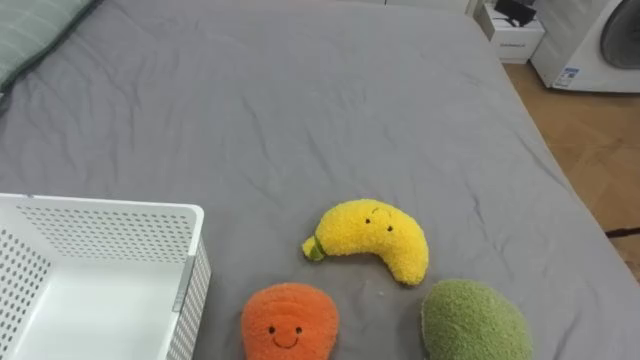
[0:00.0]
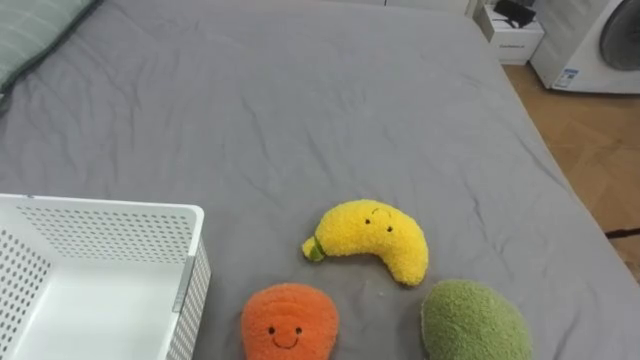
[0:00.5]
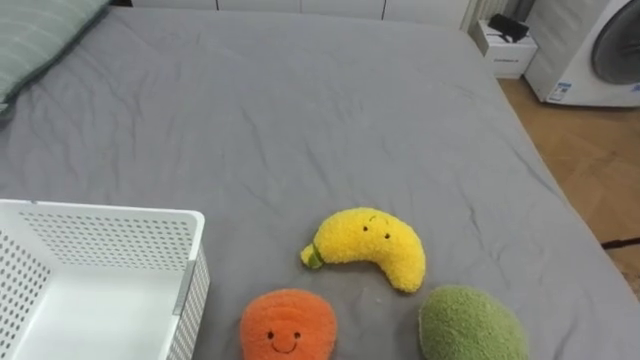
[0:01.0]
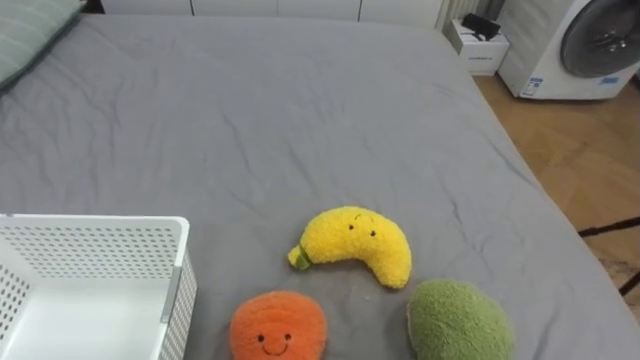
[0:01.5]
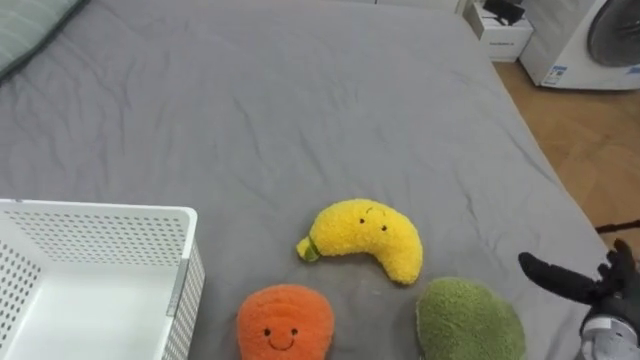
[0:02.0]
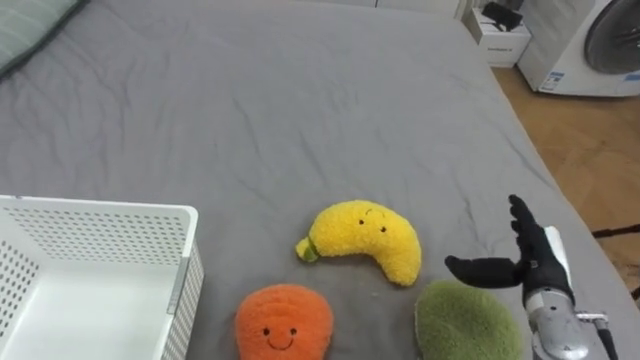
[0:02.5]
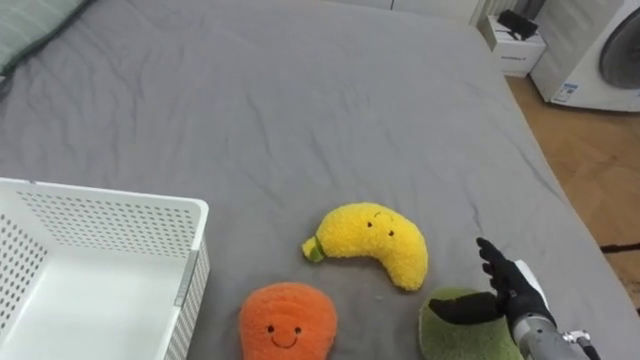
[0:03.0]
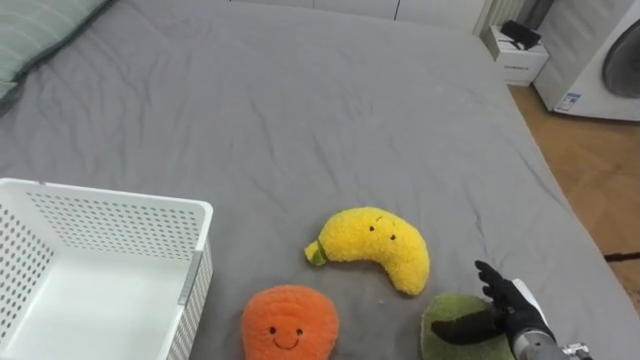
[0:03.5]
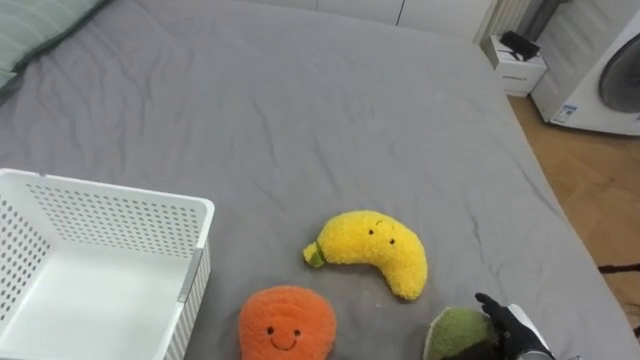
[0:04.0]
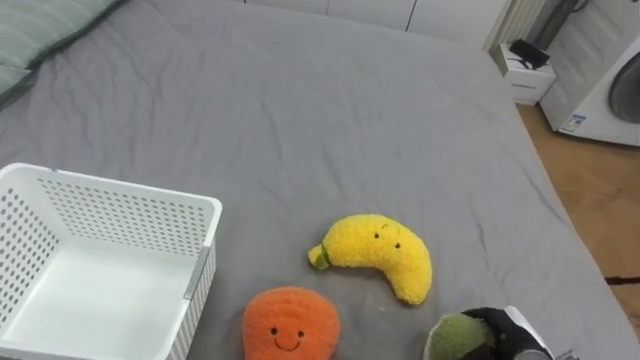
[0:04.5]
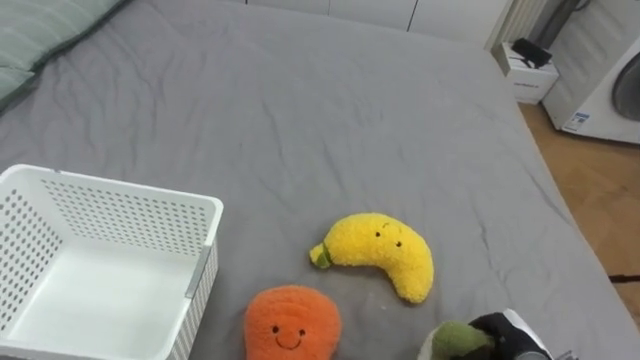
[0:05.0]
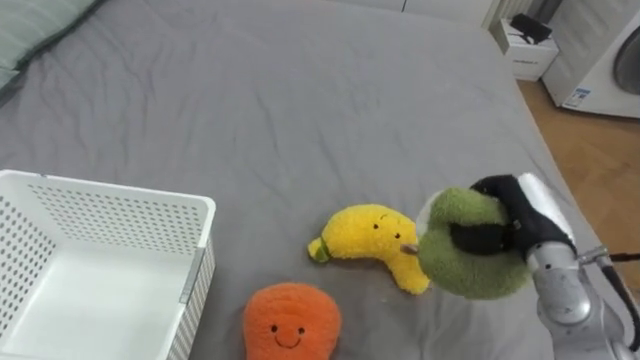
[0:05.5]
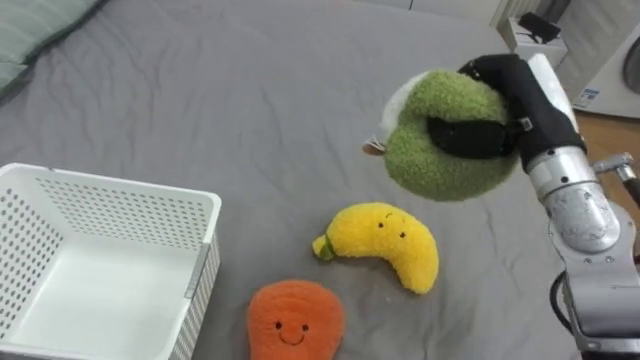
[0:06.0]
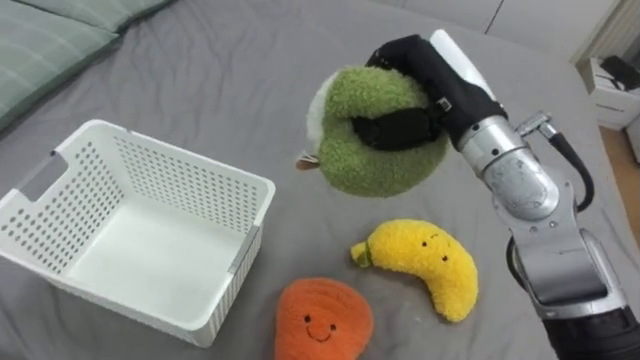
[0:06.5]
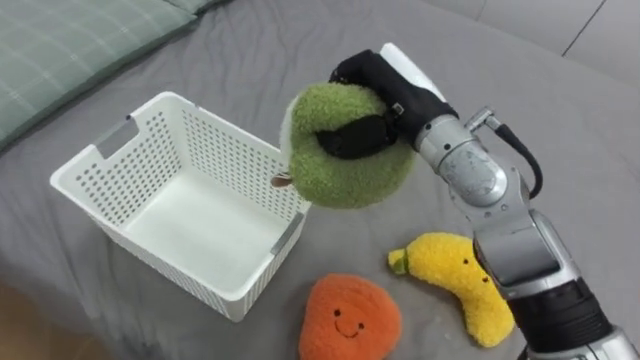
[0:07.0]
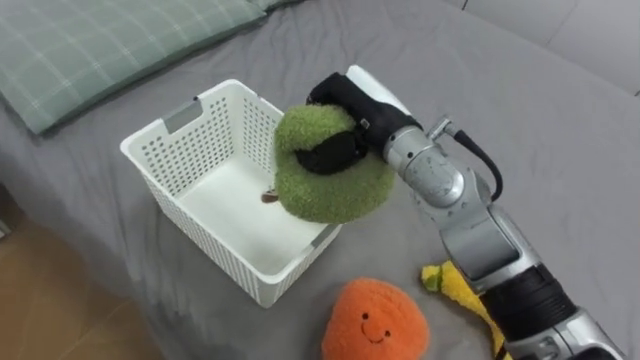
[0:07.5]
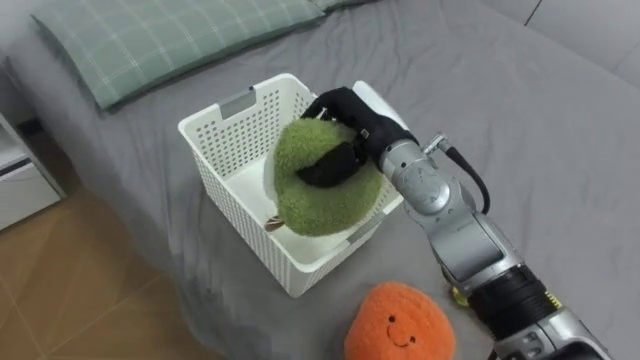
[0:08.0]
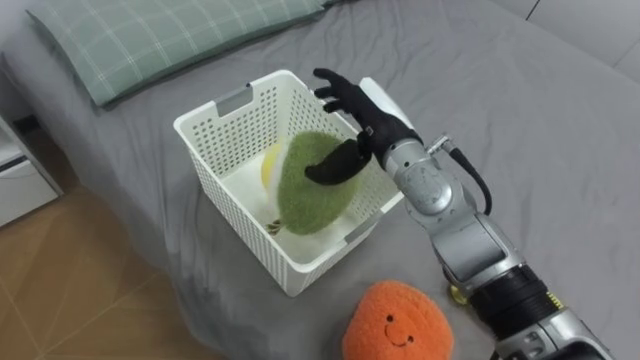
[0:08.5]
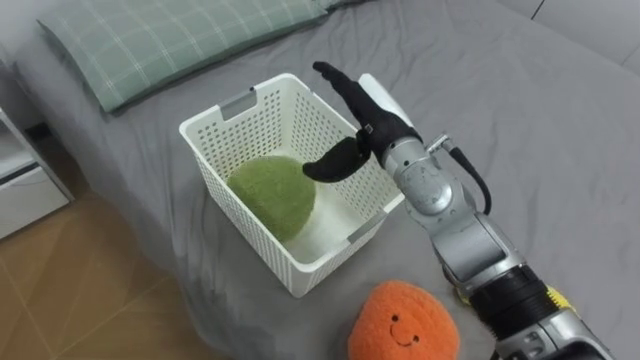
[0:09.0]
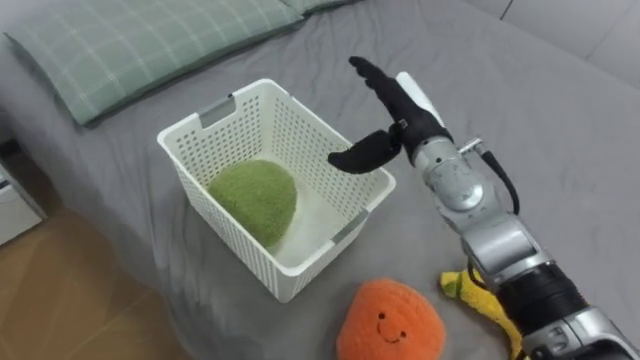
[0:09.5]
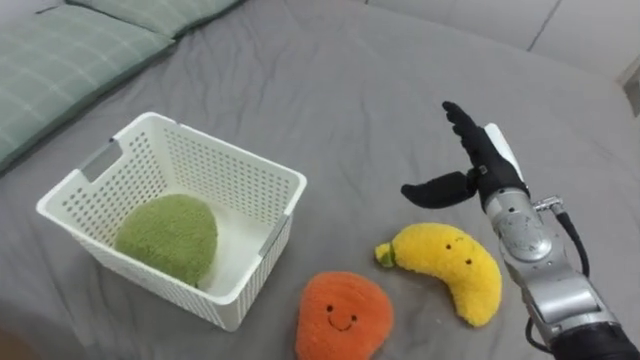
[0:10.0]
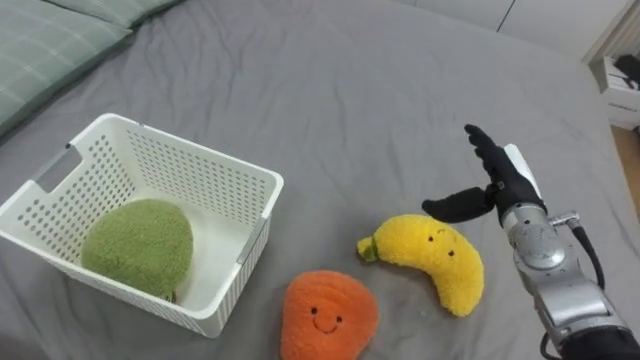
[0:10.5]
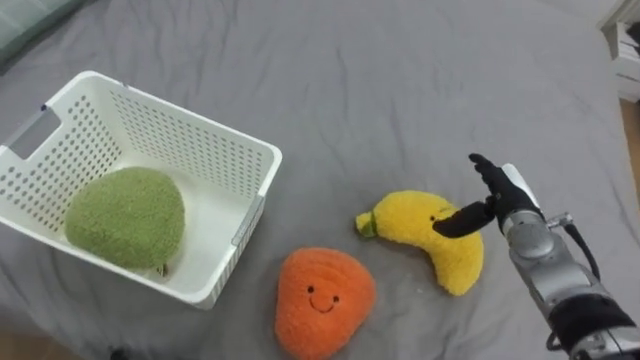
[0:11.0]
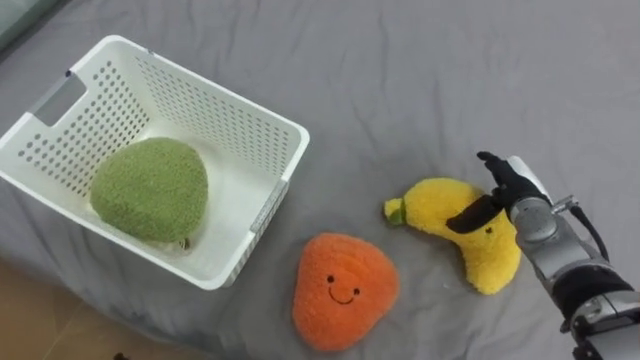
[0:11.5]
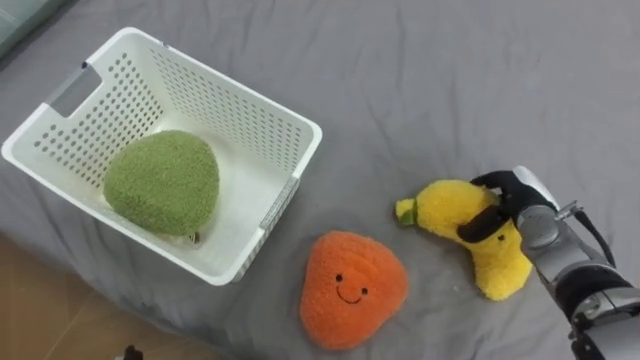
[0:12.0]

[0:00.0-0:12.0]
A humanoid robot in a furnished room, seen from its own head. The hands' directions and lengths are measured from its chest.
Task of the whole recording: Put the toys on the bed into the basket on the left.
0:02.0 to 0:04.0: The right hand goes roughly 10 cm to the left and downward.
0:04.0 to 0:06.0: The right hand shifts about 35 cm upward and forward, and closes its fingers.
0:06.0 to 0:08.0: The right hand travels to the left by roughly 15 cm.
0:08.0 to 0:10.0: The right hand is displaced to the right by roughly 15 cm, and opens its fingers.
0:10.0 to 0:12.0: The right hand moves downward and to the right, some 10 cm.

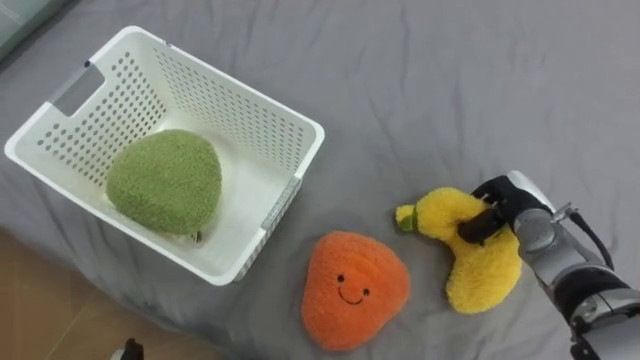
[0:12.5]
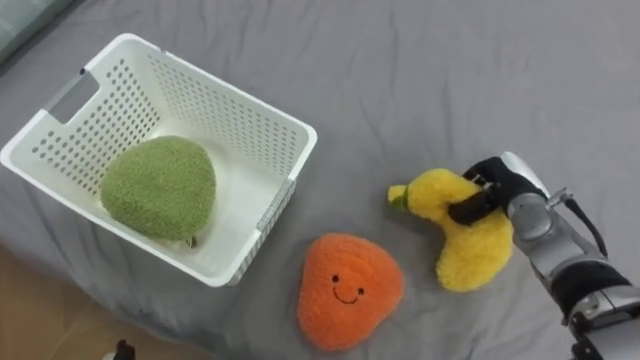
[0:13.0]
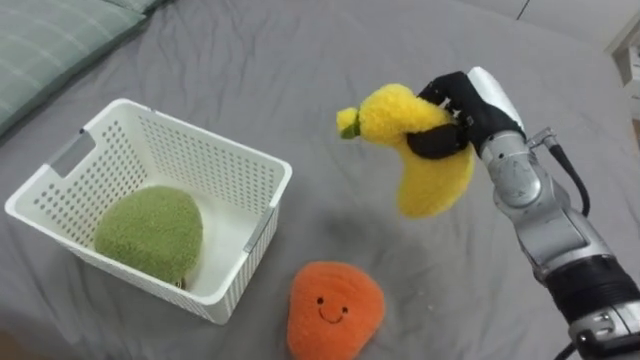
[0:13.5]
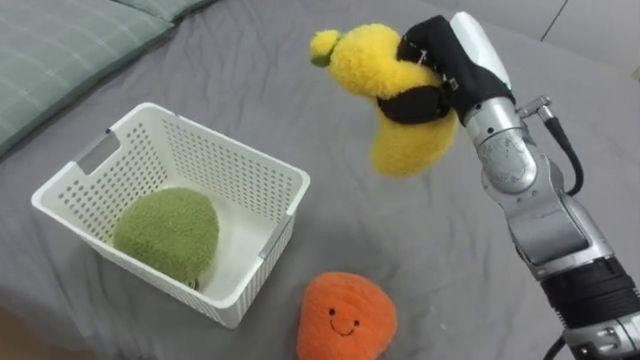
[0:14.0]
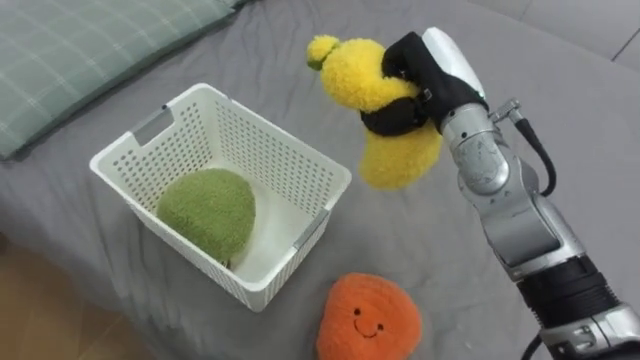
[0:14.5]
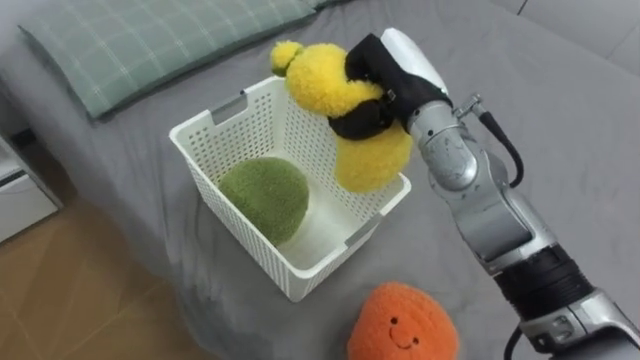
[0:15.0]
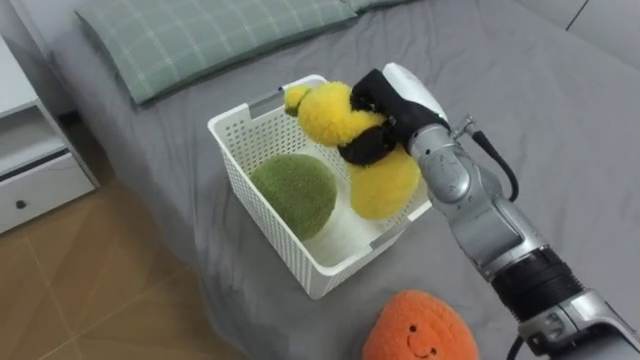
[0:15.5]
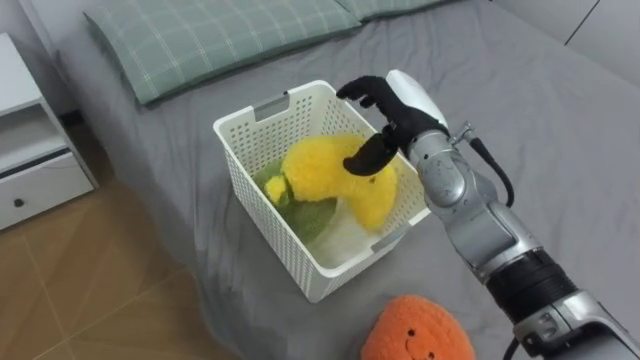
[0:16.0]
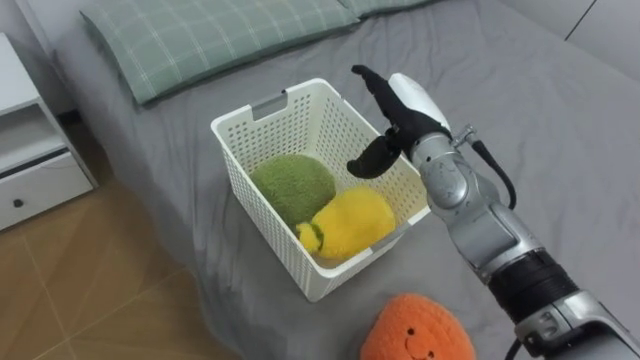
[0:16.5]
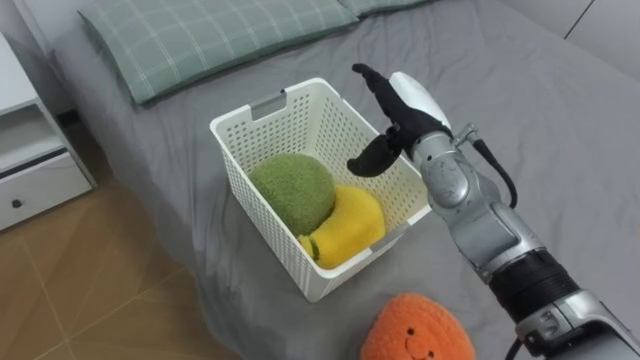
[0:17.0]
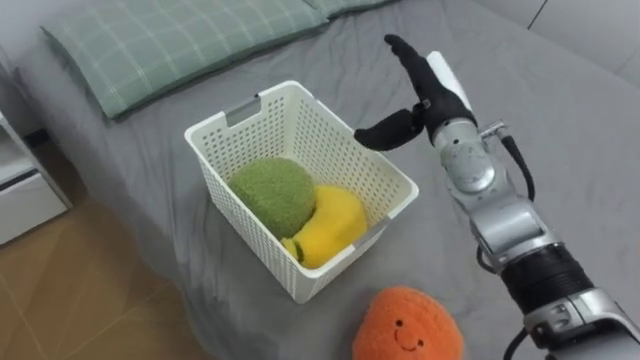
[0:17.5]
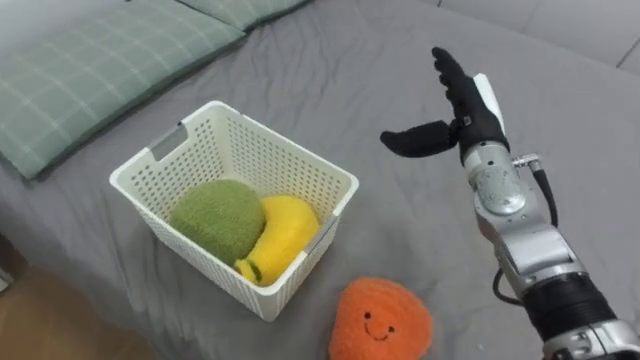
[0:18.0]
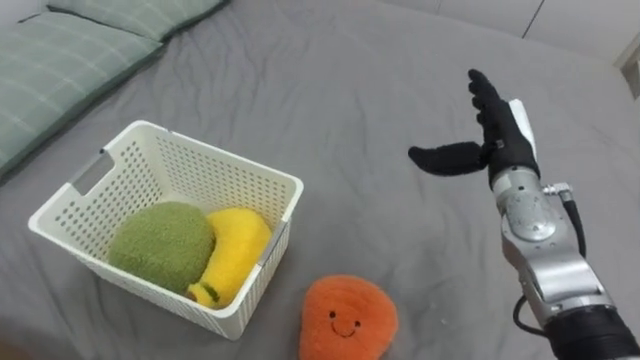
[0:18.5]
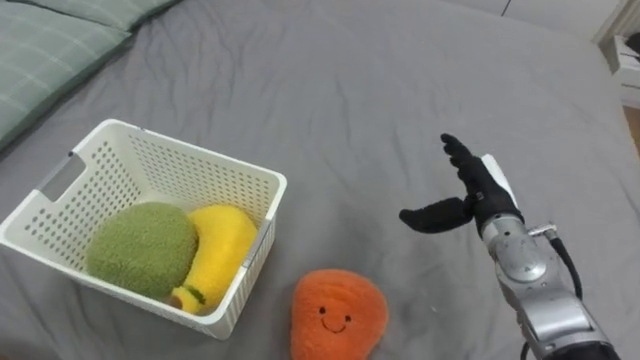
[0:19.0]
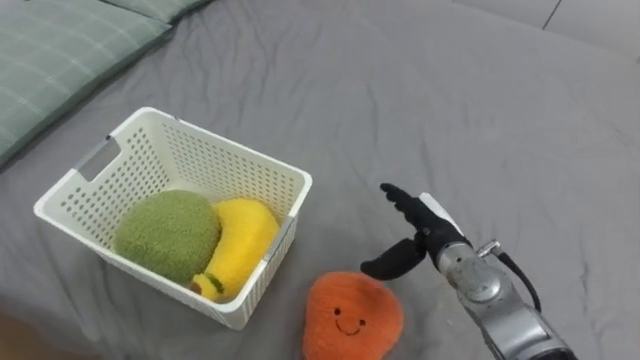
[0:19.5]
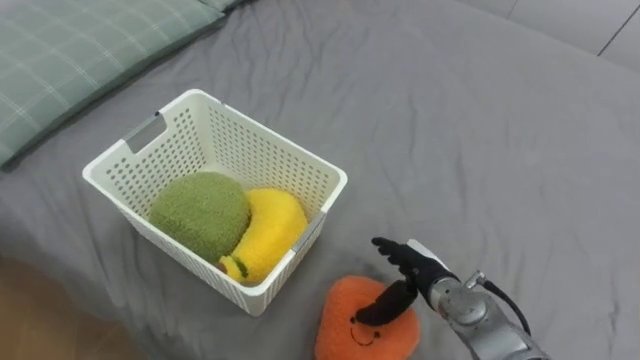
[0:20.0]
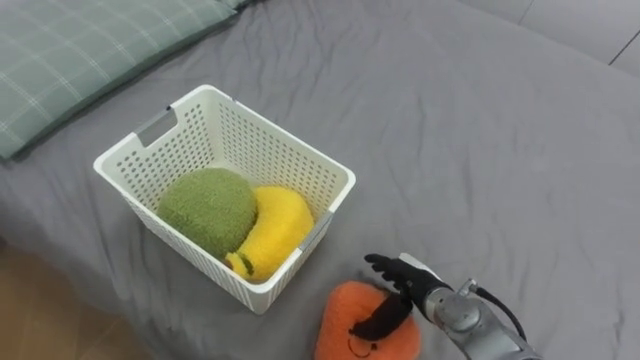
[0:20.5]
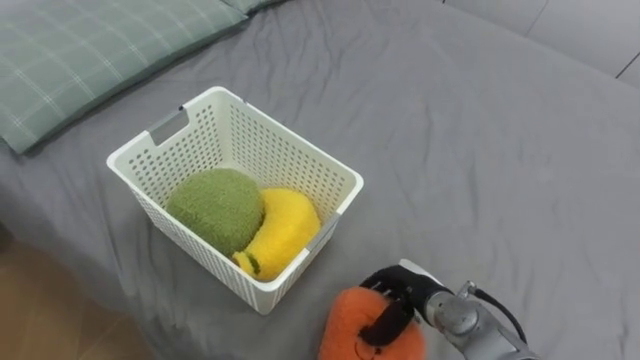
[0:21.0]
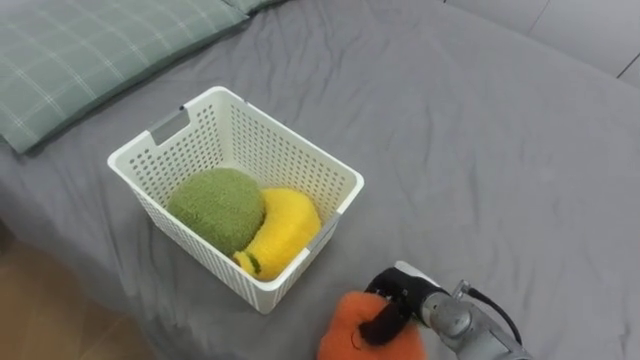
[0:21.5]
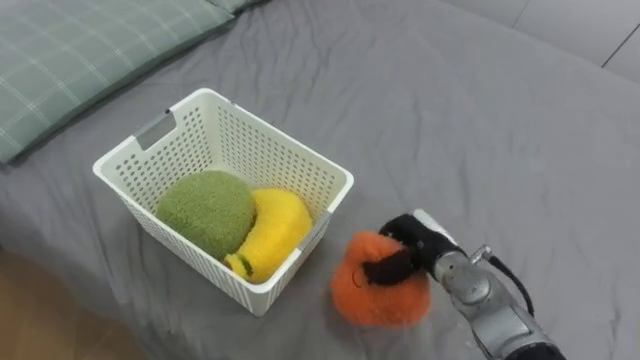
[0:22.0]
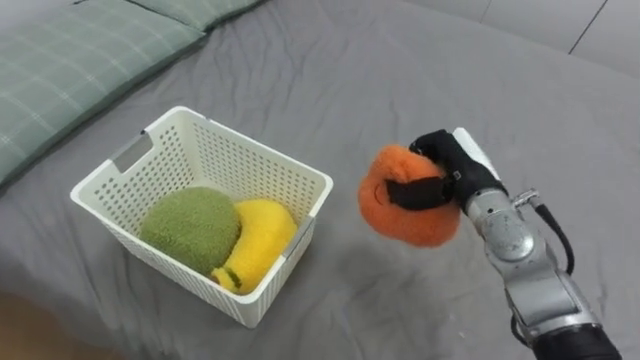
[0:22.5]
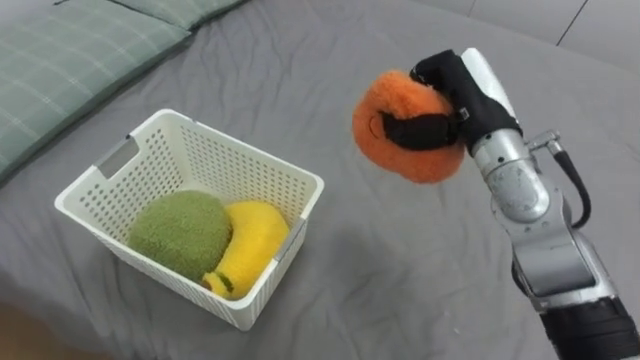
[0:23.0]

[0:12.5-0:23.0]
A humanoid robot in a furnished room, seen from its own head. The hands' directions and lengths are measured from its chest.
Task of the whole recording: Put the toys on the bed into the basket on the left.
0:12.5 to 0:14.5: The right hand goes approximately 25 cm upward and to the left.
0:14.5 to 0:16.5: The right hand heads downward, covering some 5 cm, and opens its fingers.
0:16.5 to 0:19.0: The right hand travels to the right, downward and backward by roughly 15 cm.
0:19.0 to 0:21.0: The right hand goes some 15 cm downward, backward and to the left.
0:21.0 to 0:23.0: The right hand travels upward and forward by roughly 30 cm, and closes.
